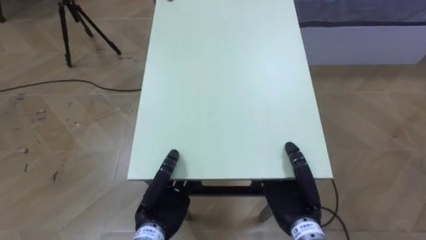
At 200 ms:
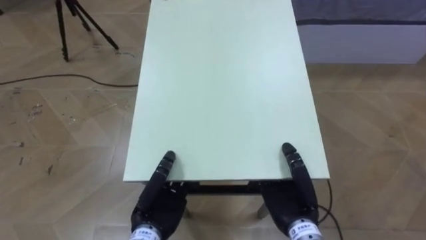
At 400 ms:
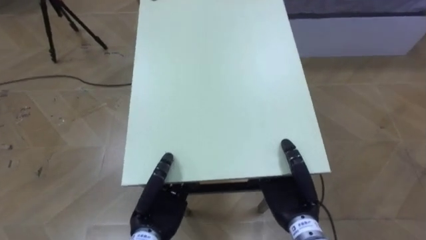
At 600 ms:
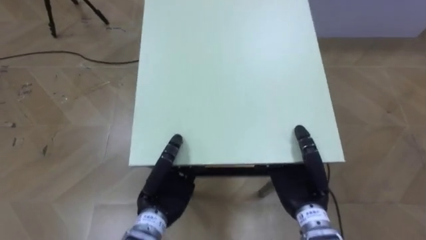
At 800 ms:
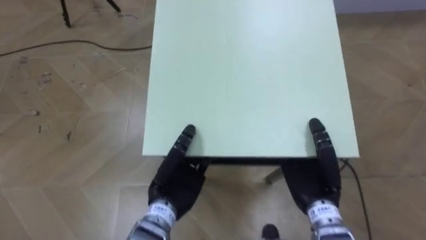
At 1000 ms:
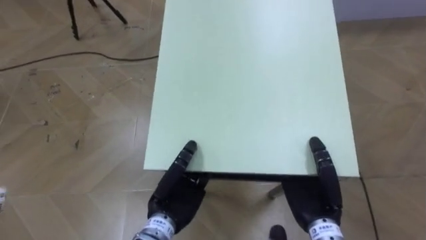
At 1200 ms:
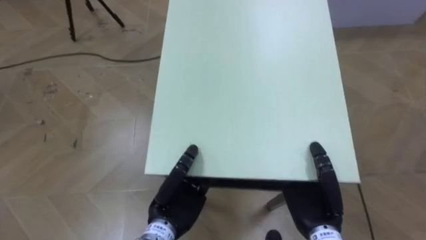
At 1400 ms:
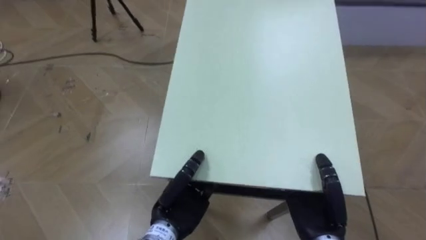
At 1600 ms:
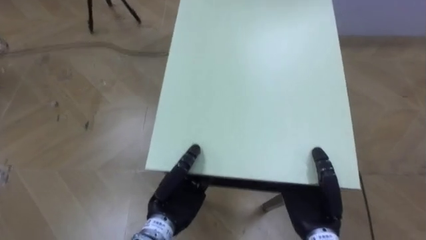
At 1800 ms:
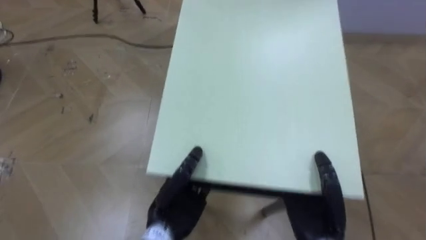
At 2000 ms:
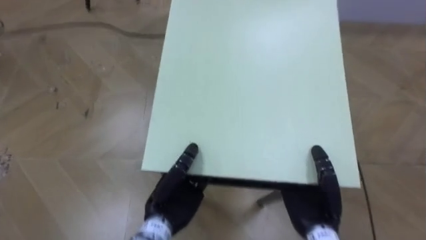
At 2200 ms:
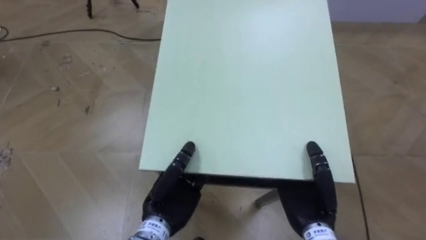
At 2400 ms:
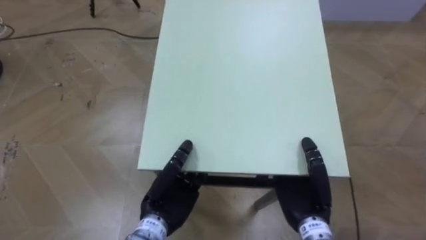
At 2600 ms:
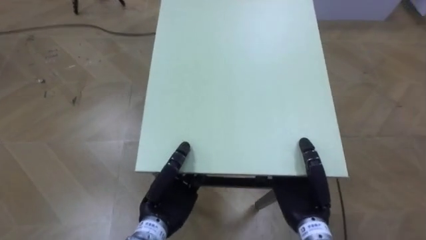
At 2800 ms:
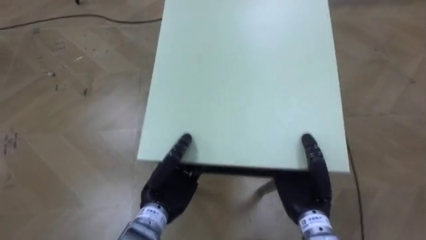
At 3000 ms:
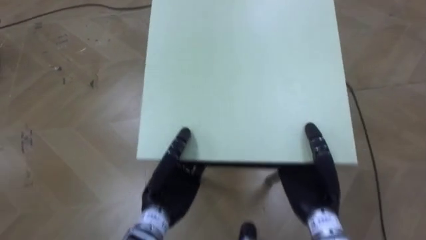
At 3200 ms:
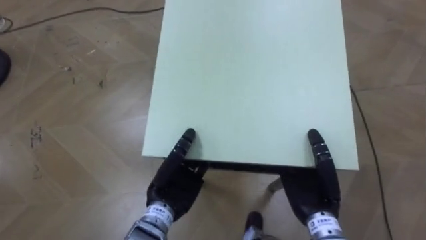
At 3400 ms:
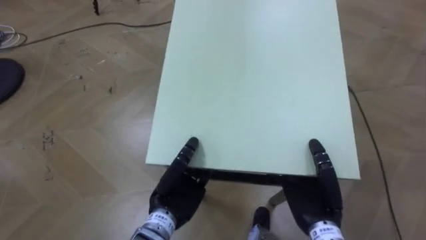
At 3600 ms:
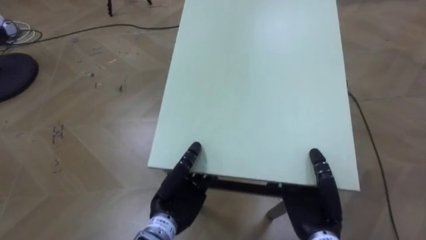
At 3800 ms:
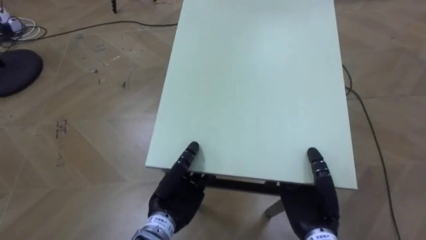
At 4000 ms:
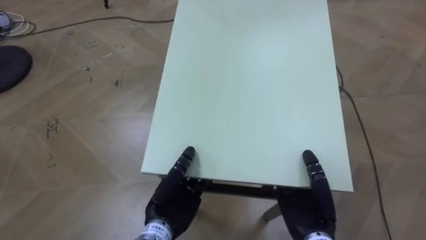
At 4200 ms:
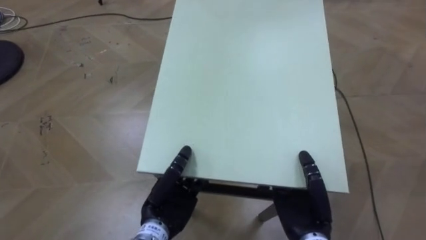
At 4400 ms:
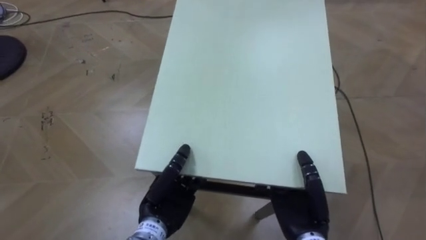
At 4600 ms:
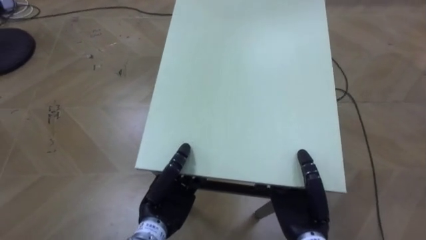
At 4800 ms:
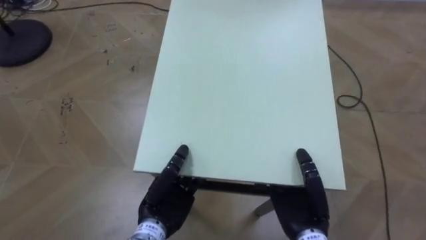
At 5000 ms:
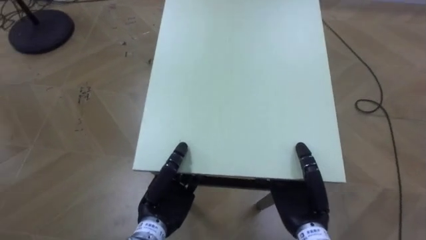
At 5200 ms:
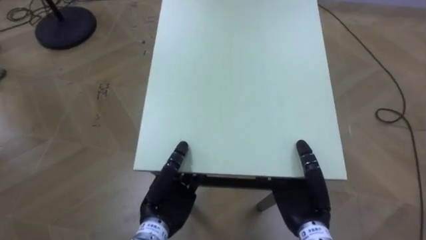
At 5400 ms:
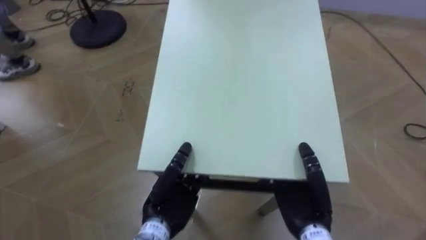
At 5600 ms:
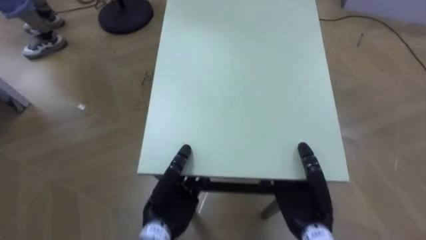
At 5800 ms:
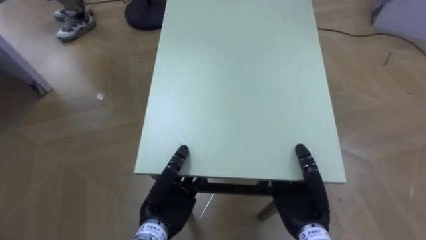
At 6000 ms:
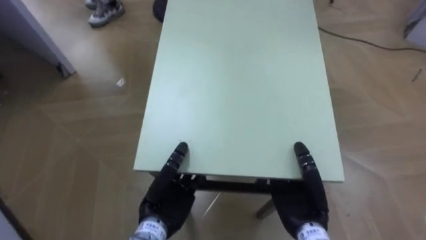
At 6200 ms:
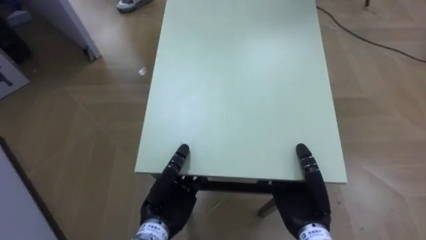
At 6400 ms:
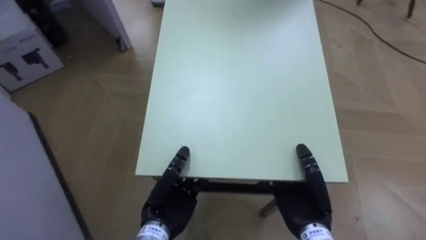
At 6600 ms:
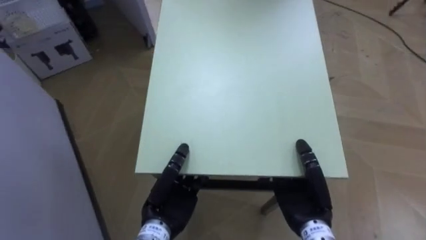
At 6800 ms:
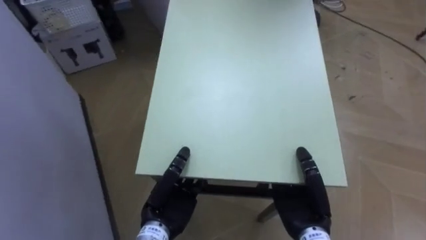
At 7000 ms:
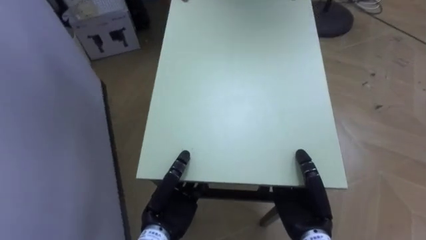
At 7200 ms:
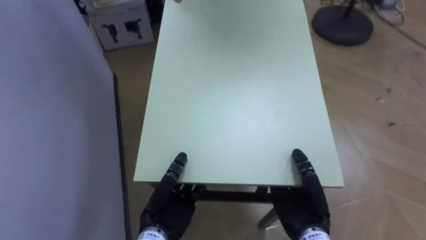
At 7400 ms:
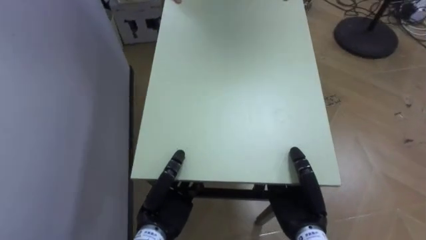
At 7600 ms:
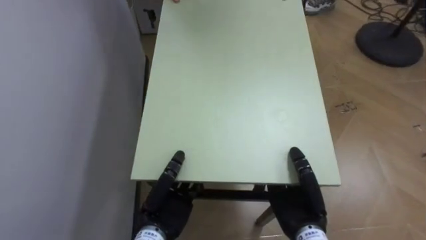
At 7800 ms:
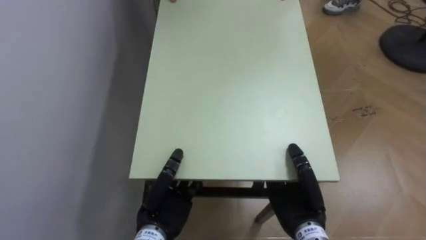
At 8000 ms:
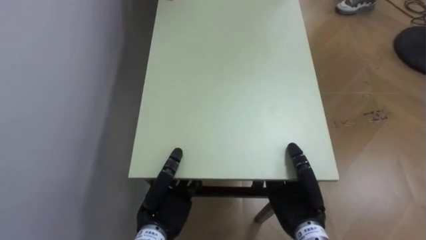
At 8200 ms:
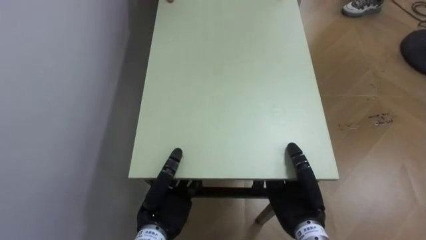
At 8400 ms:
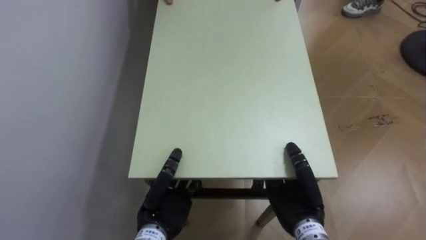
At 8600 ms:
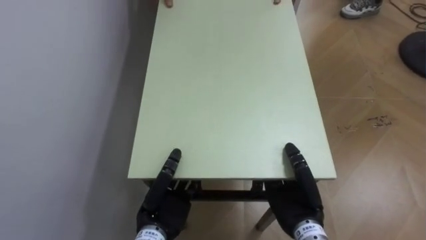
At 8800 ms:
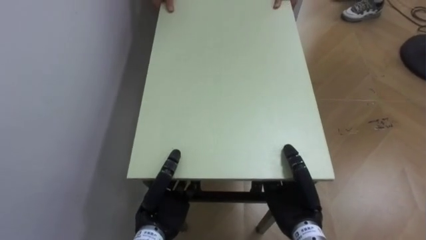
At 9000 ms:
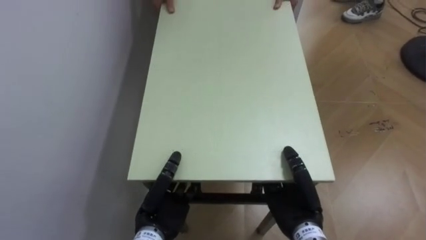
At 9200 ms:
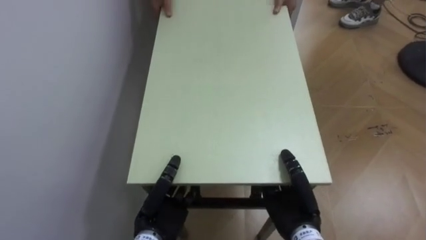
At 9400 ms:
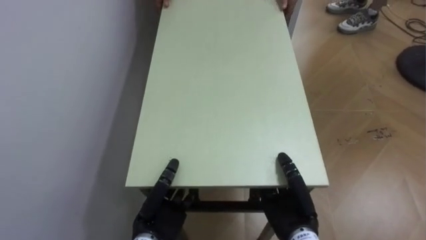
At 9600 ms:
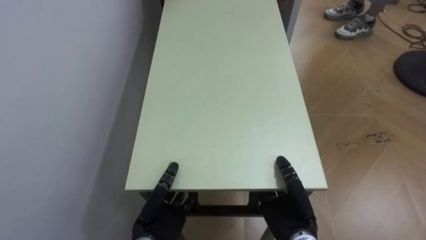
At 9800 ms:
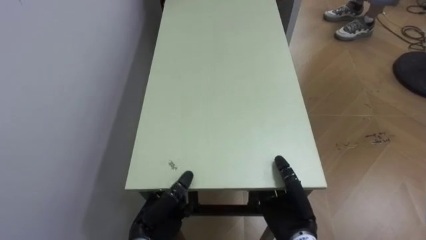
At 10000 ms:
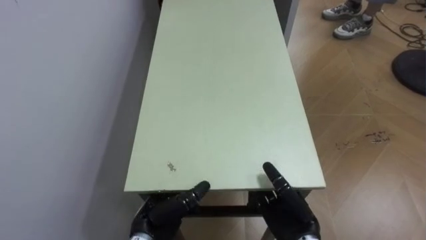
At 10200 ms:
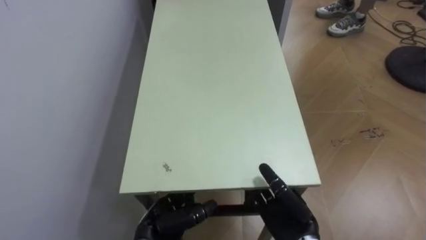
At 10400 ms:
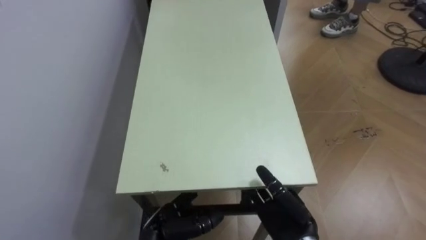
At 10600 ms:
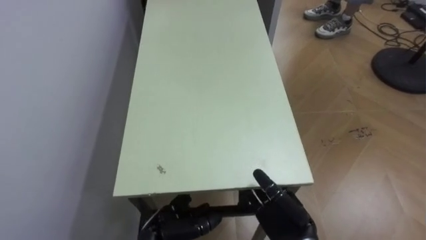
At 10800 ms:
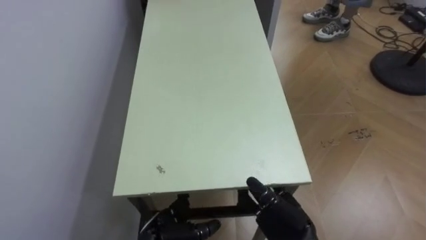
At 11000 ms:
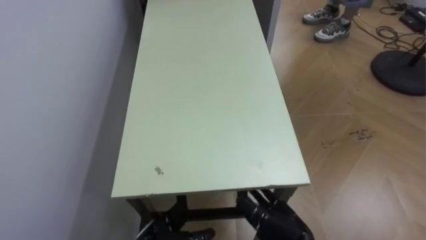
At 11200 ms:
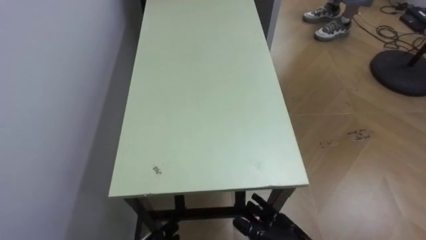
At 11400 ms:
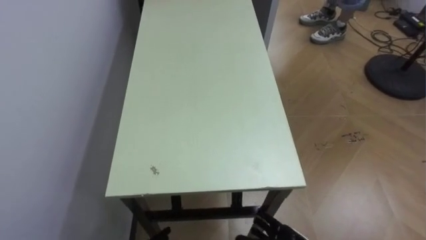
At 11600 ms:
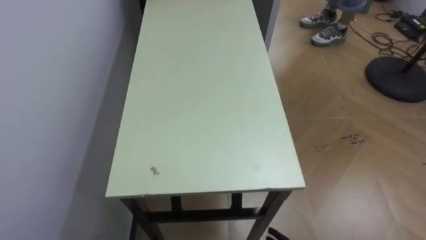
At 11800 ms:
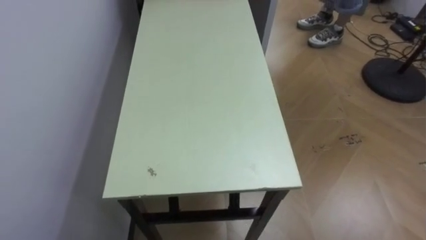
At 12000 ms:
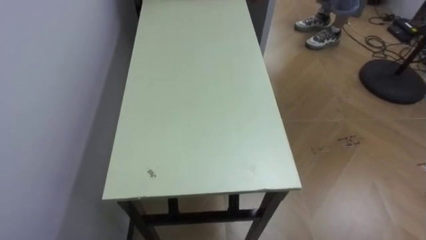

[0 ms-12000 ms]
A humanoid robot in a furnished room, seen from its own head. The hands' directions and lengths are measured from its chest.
Task of the whole recording: Move the table to the back left with someone.
3000 ms to 4400 ms: The right hand moves some 5 cm.
4400 ms to 6000 ms: The robot's body swings roughly 40 degrees to its left.
6000 ms to 7600 ms: The robot turns to its left by roughly 45 degrees.
9000 ms to 10400 ms: The left hand shifts by some 5 cm, and opens; the right hand opens its fingers.
